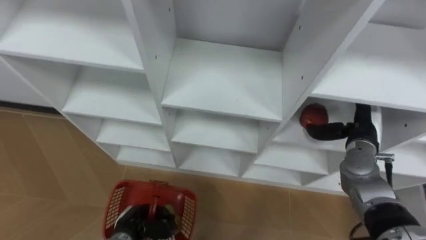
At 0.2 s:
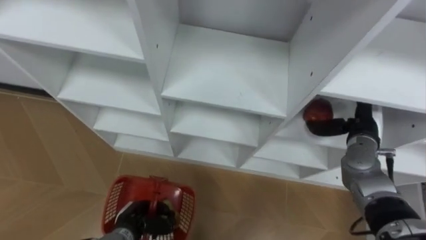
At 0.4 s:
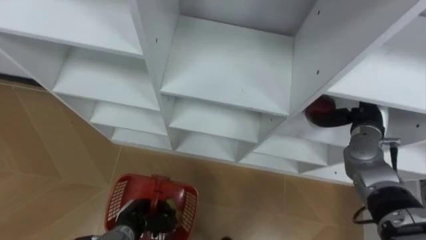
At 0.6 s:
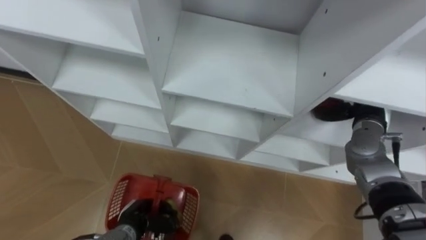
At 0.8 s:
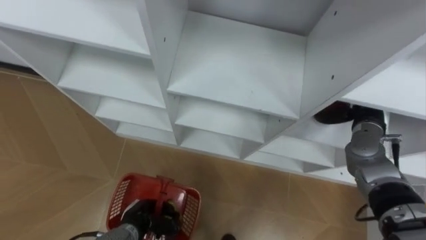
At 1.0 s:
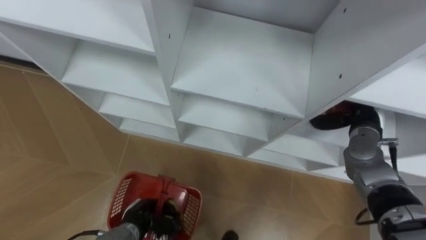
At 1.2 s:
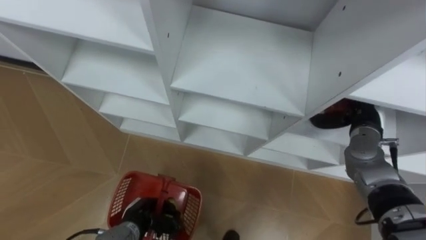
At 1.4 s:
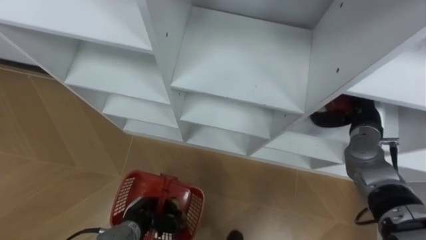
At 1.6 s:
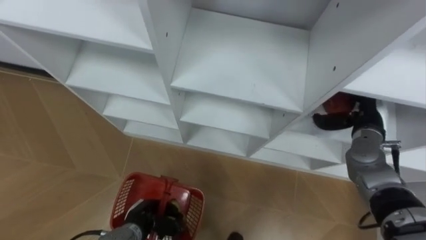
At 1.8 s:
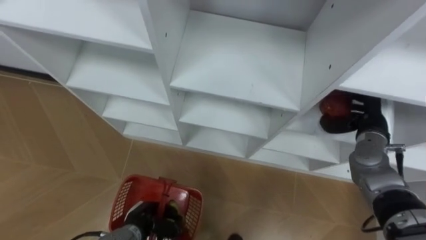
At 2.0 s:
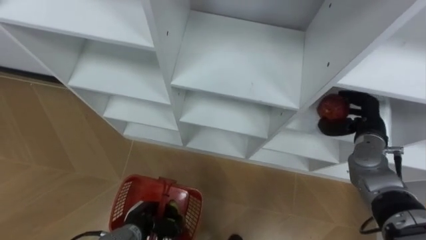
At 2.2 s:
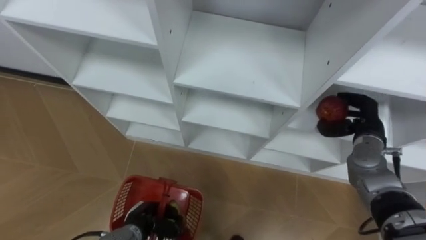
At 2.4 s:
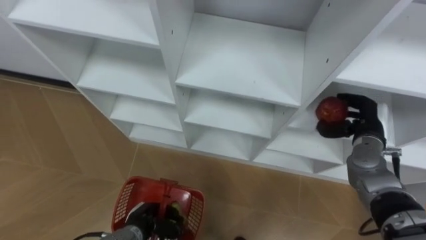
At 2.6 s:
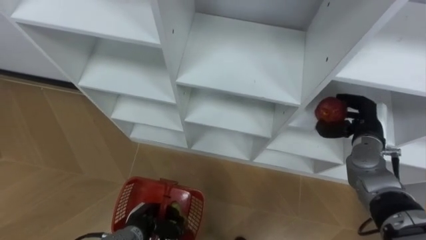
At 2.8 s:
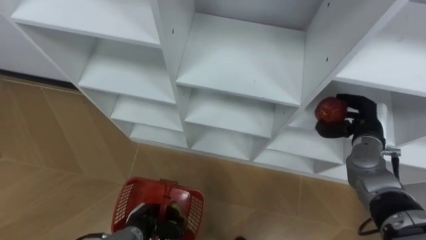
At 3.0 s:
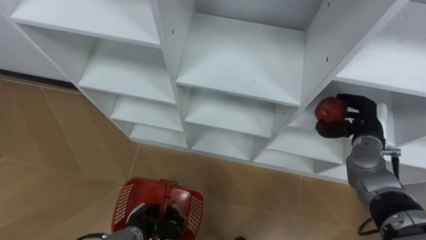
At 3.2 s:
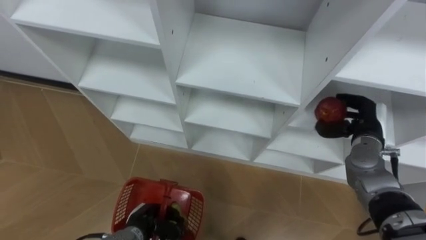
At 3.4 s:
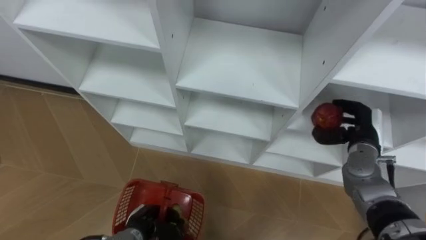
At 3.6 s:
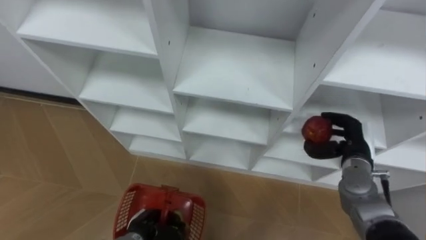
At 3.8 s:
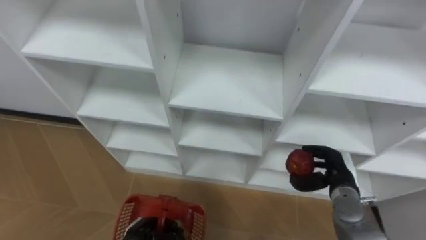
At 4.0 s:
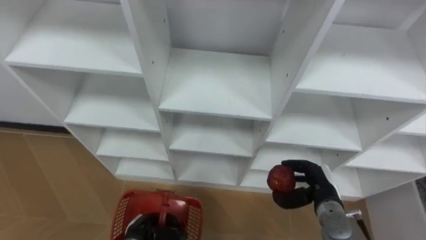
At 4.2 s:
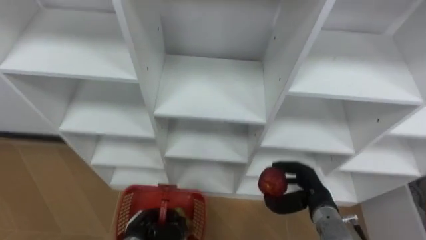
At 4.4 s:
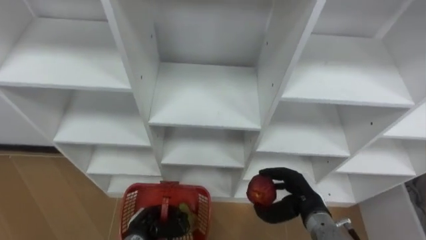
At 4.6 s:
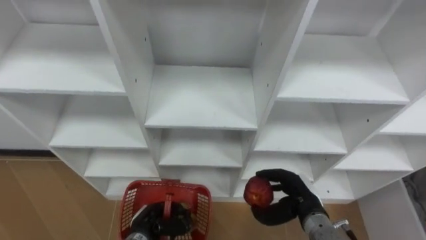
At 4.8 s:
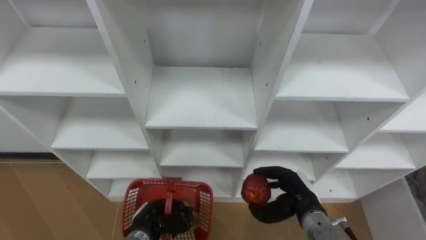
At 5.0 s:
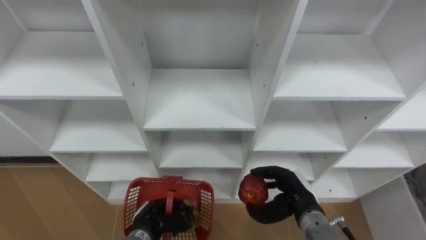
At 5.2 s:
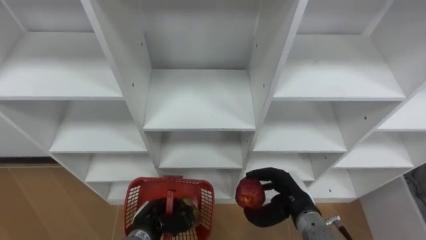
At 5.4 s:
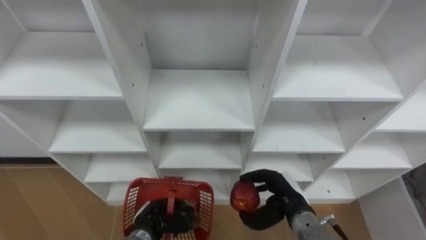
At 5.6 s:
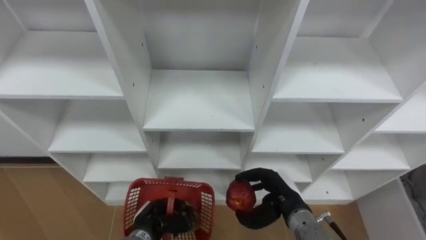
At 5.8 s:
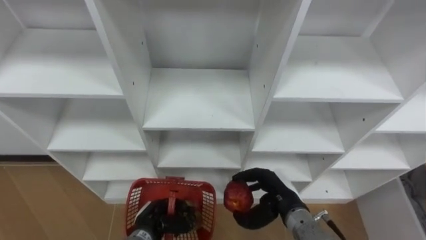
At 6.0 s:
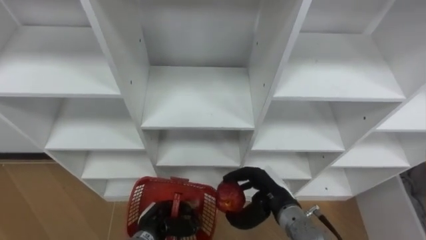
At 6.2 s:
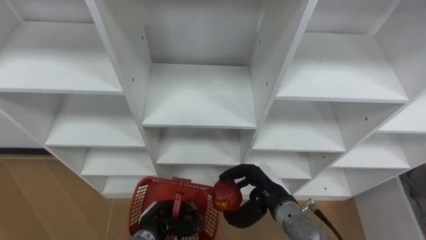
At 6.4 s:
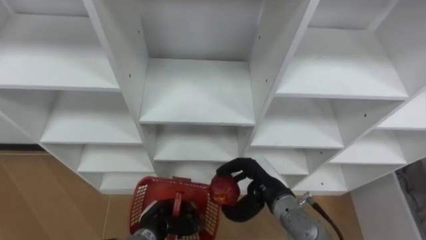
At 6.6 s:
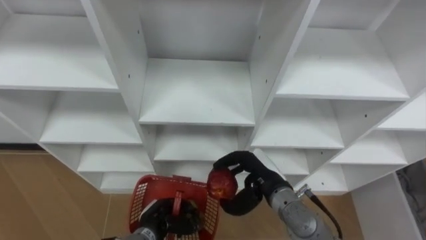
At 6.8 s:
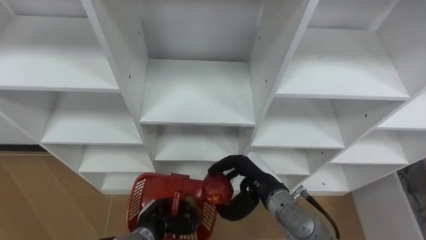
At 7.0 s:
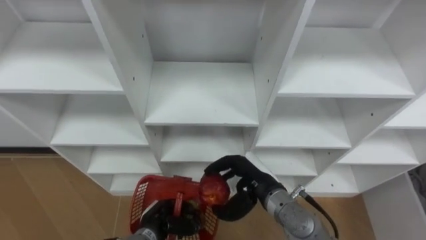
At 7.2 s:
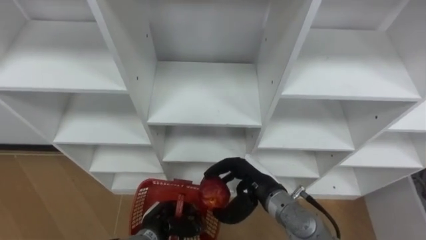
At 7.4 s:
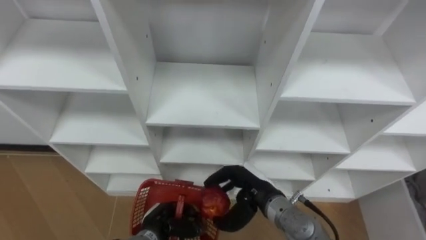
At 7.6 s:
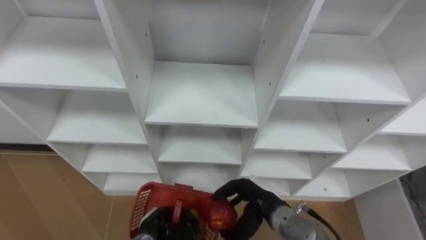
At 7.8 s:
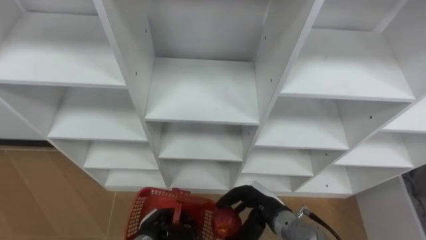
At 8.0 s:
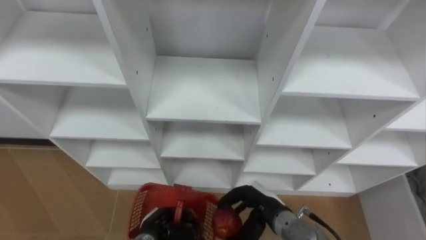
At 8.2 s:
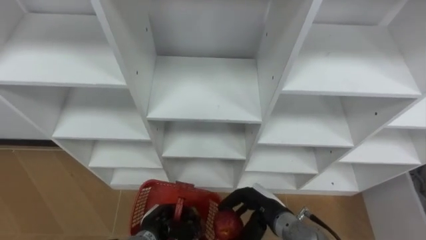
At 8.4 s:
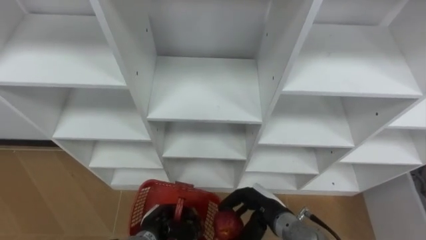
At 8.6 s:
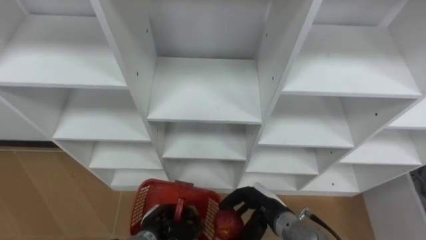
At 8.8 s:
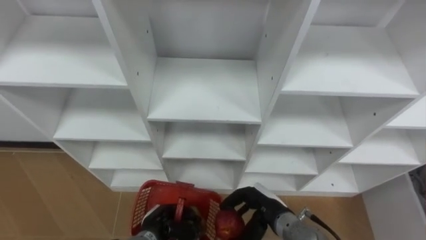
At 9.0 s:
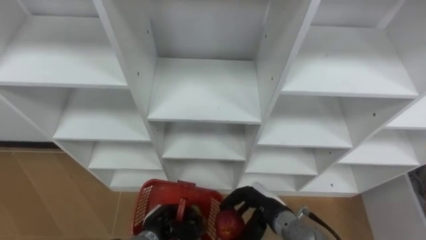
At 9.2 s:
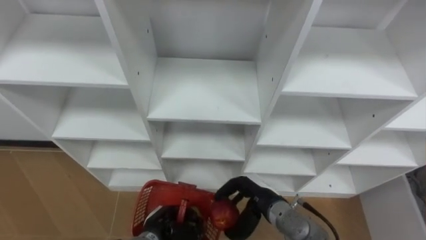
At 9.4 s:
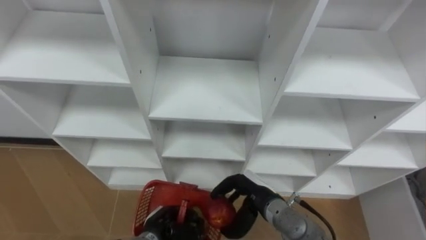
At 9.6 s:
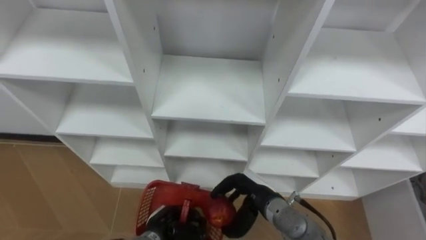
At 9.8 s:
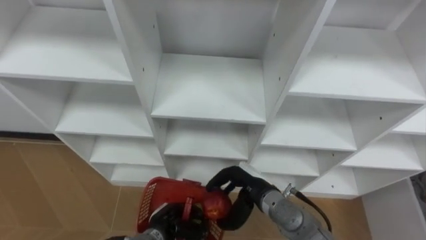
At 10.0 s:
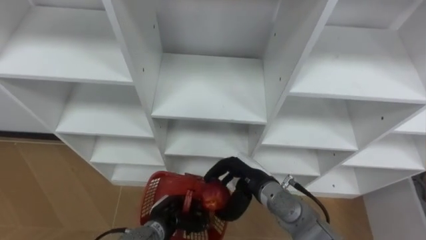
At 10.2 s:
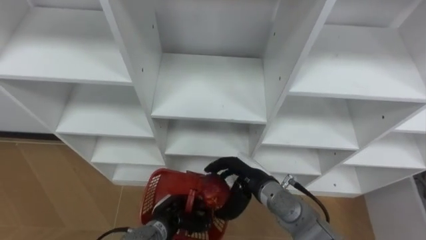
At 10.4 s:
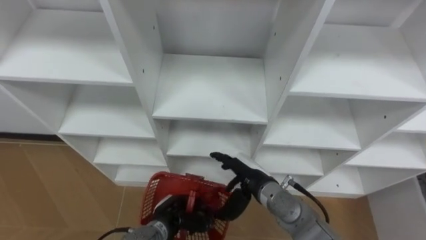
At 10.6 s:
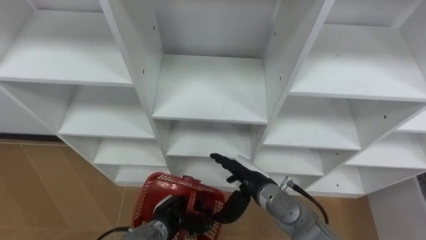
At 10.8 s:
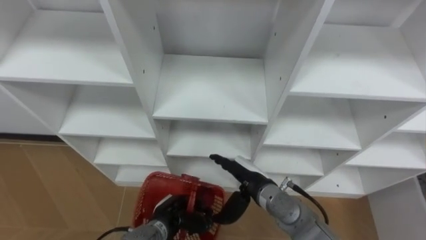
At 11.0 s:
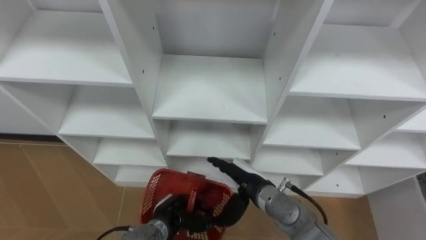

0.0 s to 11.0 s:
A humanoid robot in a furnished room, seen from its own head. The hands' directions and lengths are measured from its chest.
Task of the whole recording: Hold the basket and collect the fruits from 3 different cells of the closet into it.
1.6 to 3.2 s: The right hand closes up.
3.2 to 4.8 s: The right hand travels to the left, backward and downward by roughly 20 cm.
4.8 to 6.2 s: The right hand heads to the left, covering about 5 cm.
7.8 to 9.4 s: The hands move only a little.
9.4 to 11.0 s: The right hand opens.

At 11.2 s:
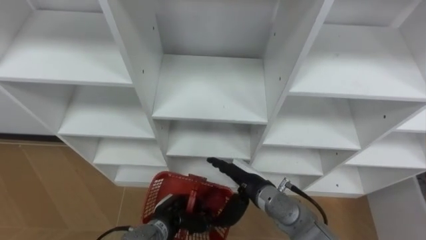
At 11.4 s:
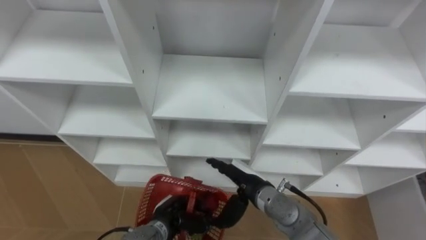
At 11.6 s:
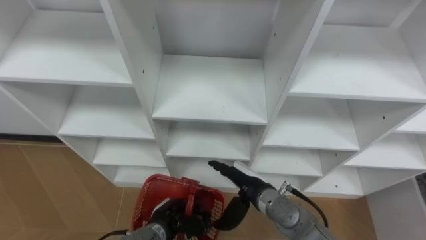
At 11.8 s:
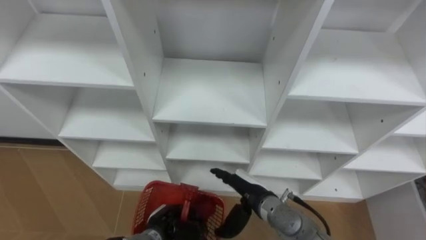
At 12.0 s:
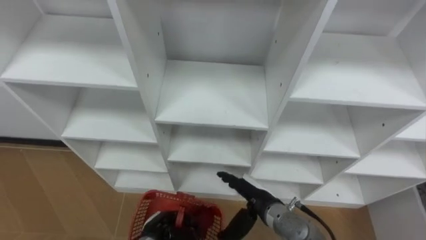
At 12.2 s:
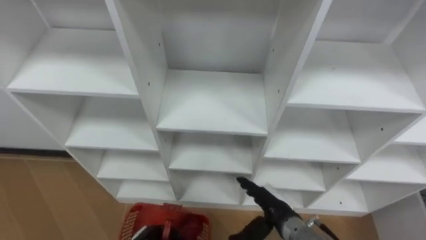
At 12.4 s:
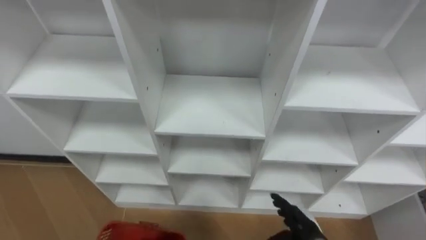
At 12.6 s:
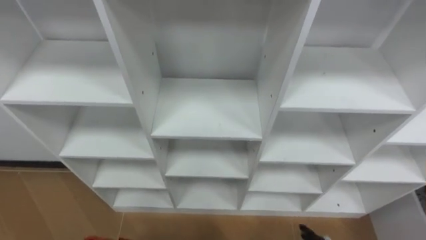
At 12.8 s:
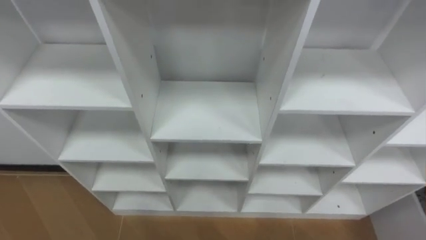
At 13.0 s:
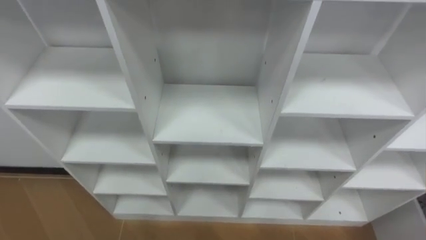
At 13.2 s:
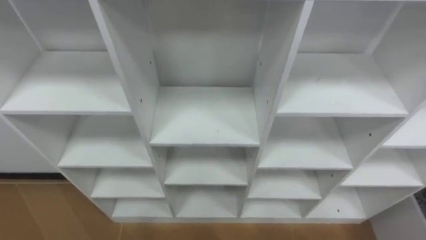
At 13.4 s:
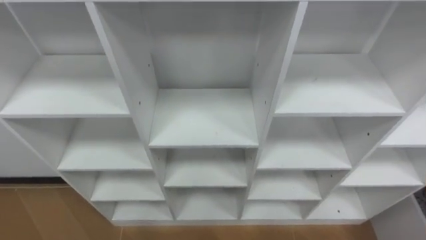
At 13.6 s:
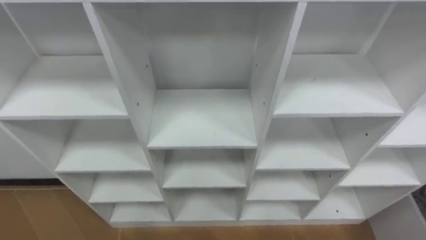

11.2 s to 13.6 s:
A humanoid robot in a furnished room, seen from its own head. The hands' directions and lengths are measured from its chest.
Task of the whole recording: Hold the basket and collect the fruits from 3 different cells of the closet into it.
11.2 to 12.4 s: The right hand shifts roughly 15 cm to the right, downward and backward.
